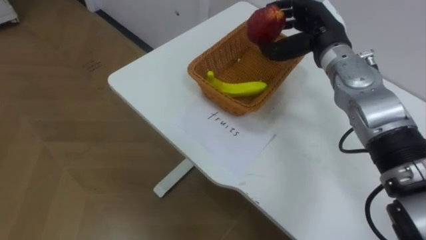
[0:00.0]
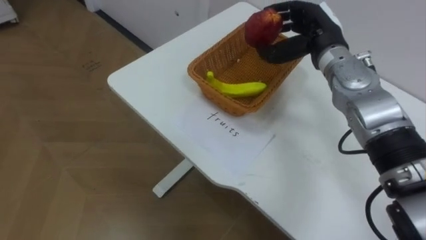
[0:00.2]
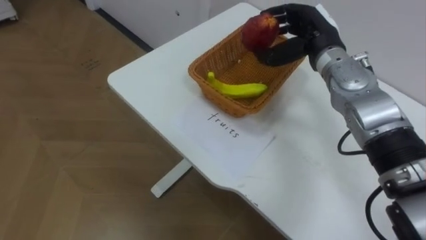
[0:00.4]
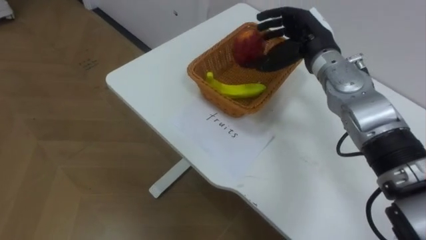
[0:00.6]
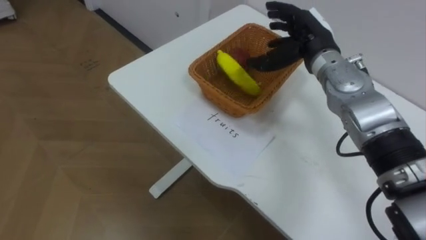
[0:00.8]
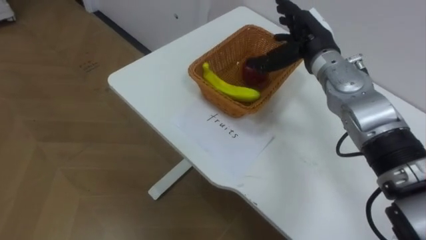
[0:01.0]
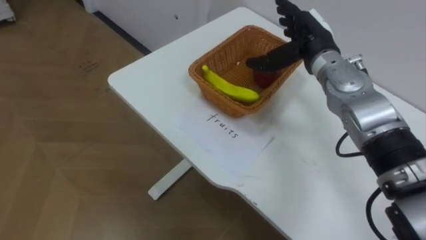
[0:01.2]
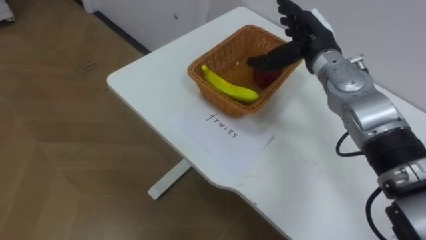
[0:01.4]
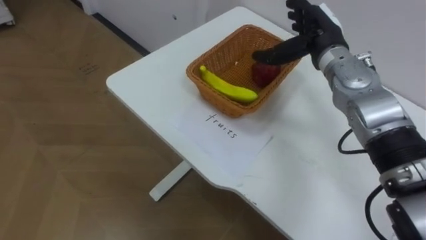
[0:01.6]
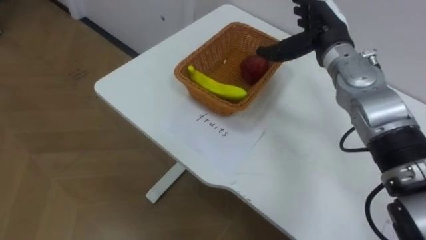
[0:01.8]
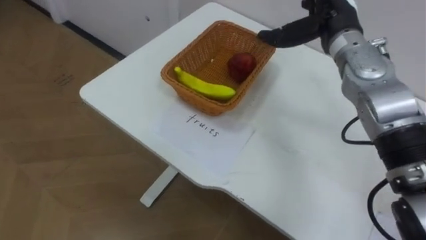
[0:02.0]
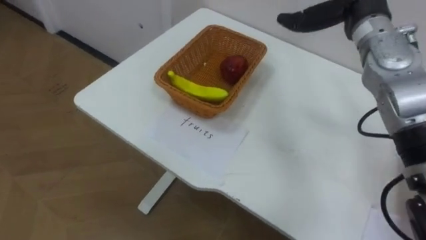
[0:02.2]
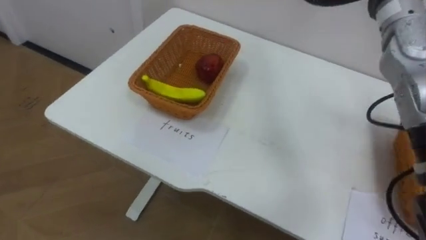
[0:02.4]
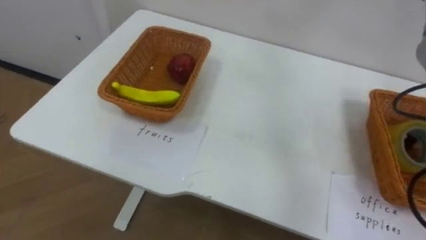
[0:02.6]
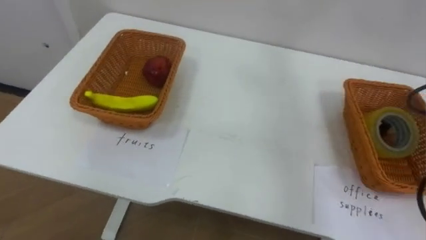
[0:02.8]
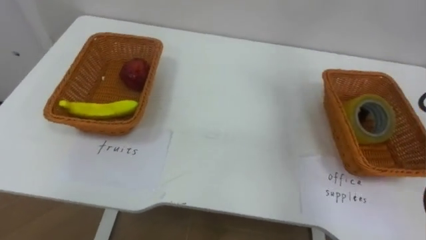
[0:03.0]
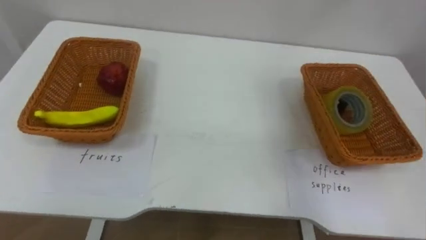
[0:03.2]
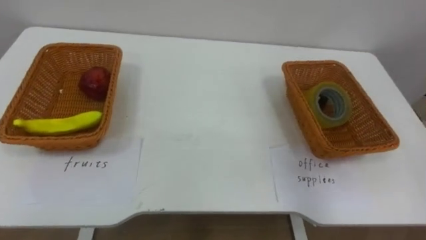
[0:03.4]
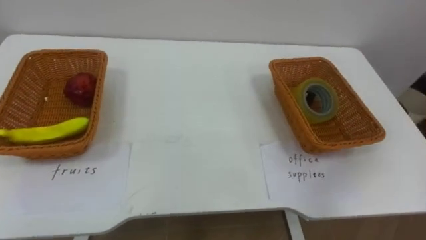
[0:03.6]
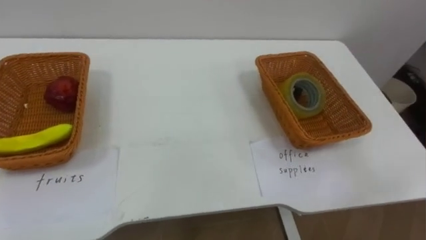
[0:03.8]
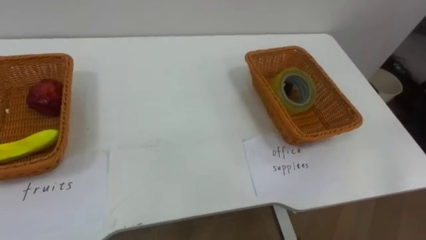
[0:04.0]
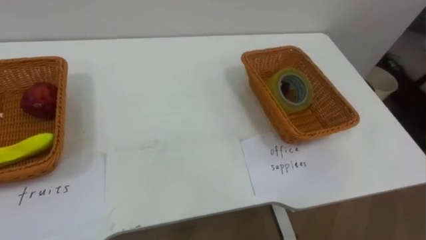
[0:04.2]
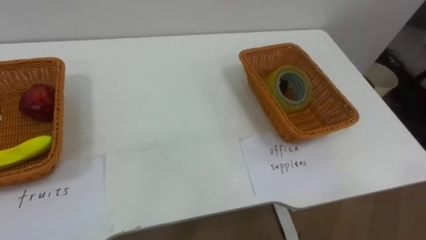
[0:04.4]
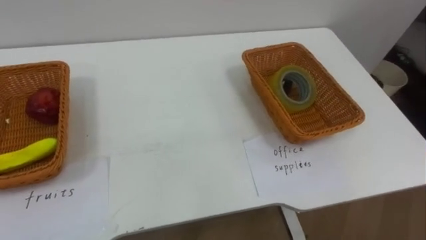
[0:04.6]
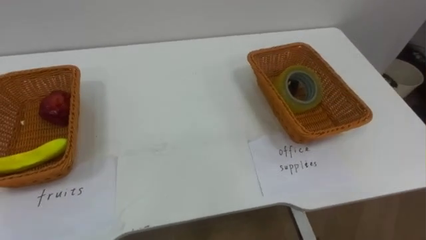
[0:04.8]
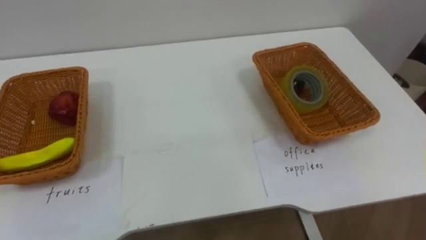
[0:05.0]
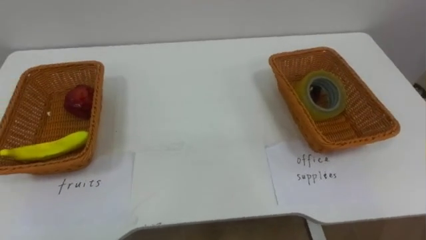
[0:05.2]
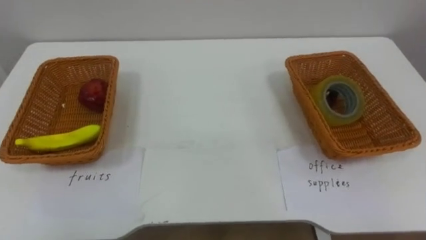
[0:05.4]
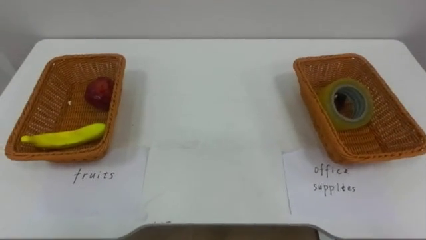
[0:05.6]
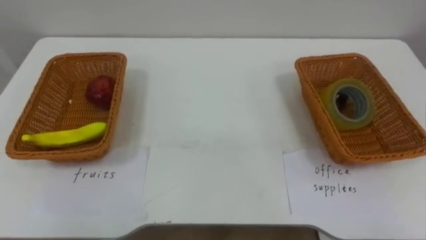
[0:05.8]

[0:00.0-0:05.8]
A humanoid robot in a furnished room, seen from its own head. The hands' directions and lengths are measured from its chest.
Task of the whole recording: Separate the items on the table and place them into the two baskets.
0:00.0 to 0:01.4: The right hand opens up.

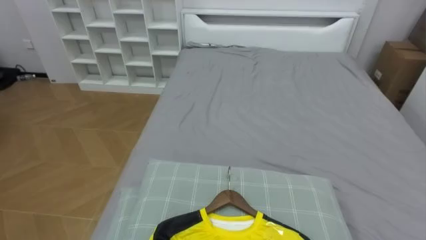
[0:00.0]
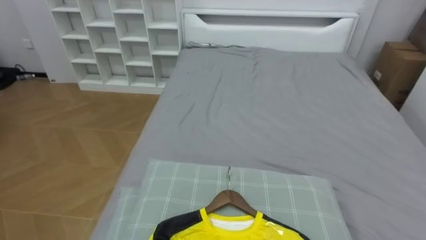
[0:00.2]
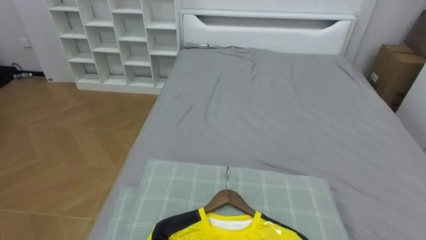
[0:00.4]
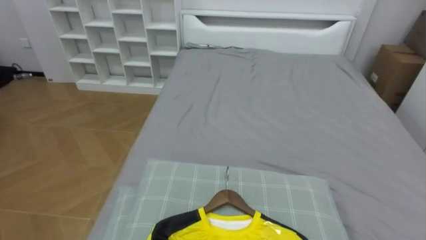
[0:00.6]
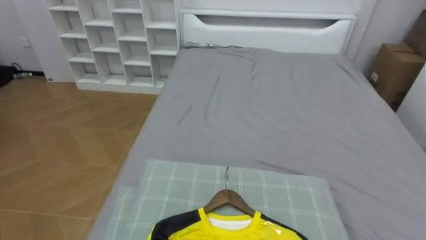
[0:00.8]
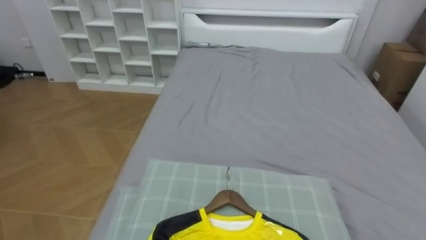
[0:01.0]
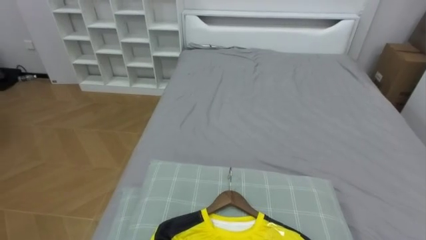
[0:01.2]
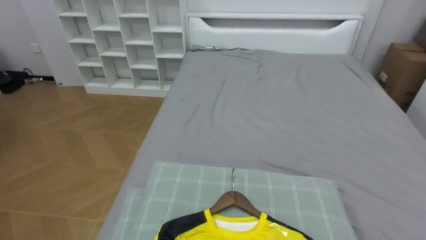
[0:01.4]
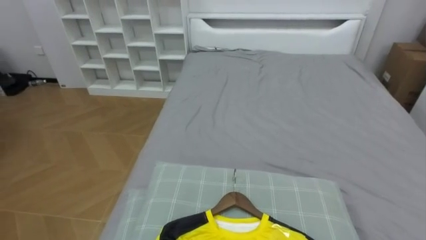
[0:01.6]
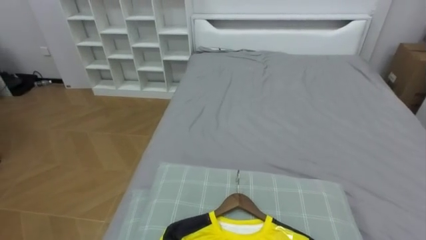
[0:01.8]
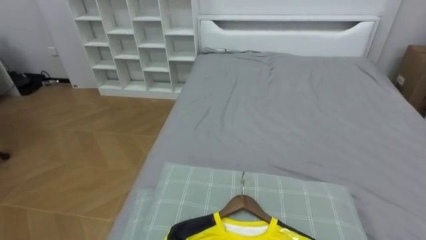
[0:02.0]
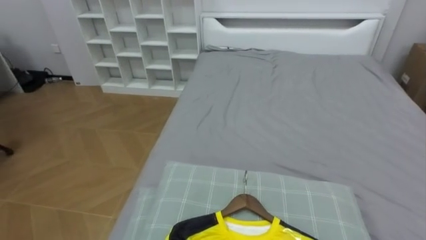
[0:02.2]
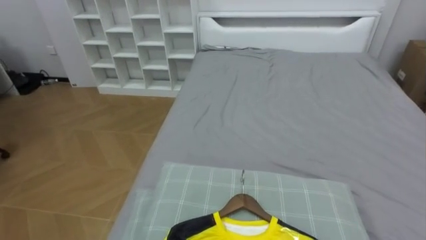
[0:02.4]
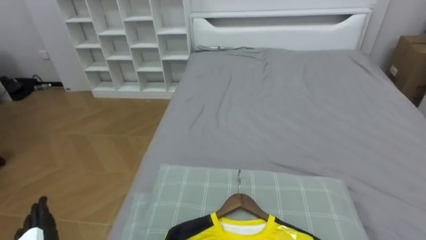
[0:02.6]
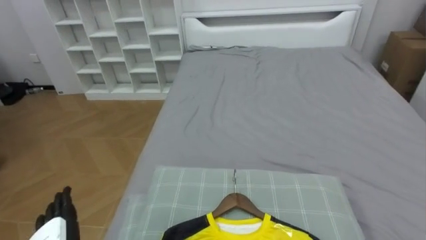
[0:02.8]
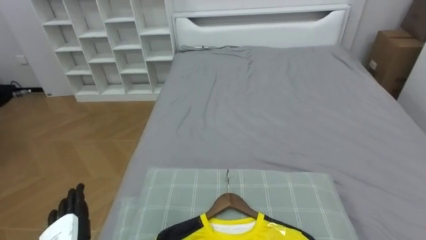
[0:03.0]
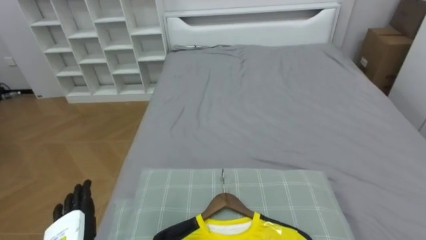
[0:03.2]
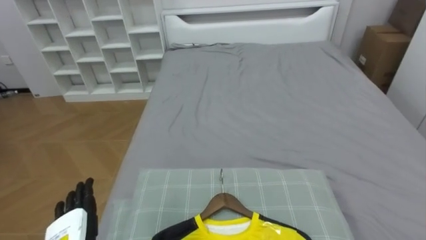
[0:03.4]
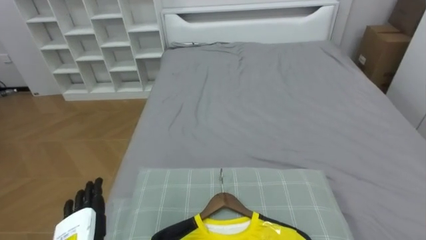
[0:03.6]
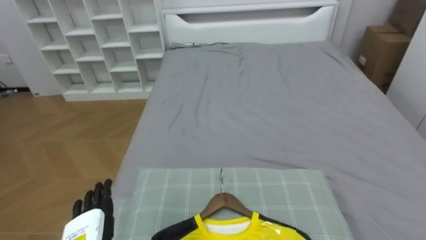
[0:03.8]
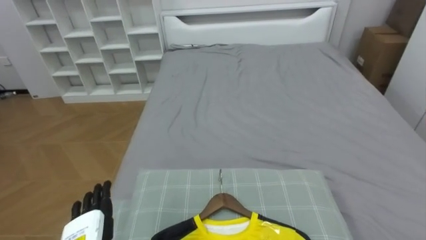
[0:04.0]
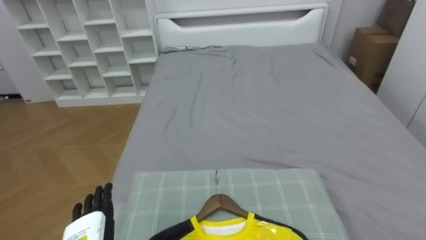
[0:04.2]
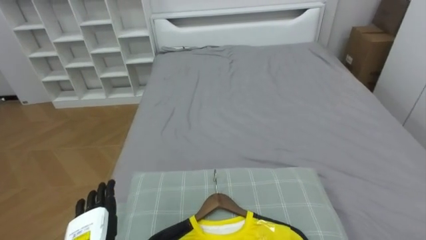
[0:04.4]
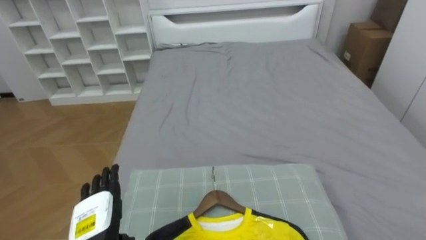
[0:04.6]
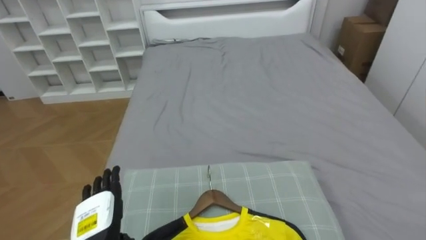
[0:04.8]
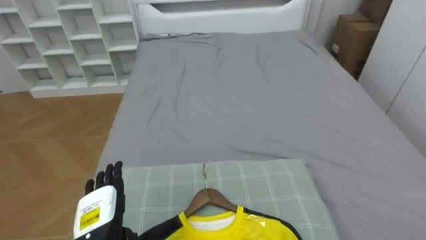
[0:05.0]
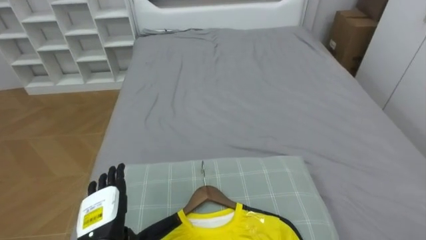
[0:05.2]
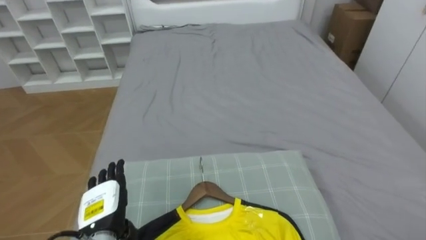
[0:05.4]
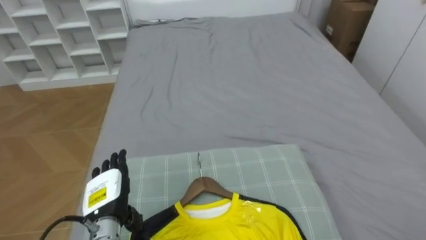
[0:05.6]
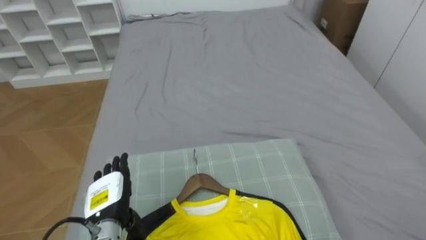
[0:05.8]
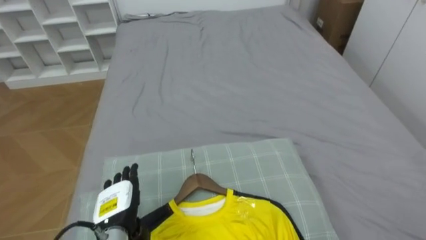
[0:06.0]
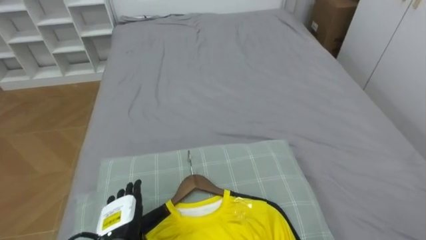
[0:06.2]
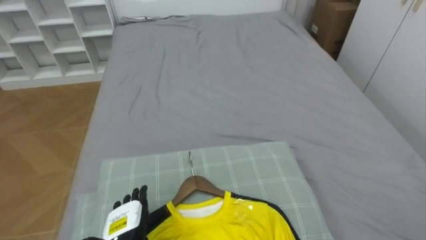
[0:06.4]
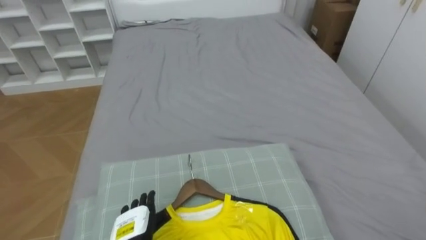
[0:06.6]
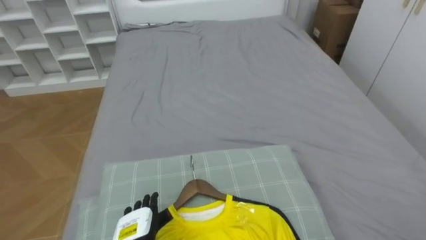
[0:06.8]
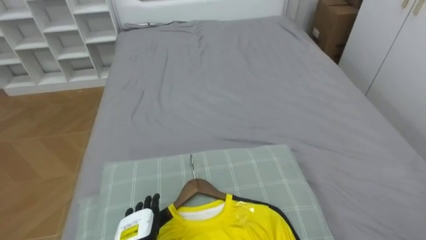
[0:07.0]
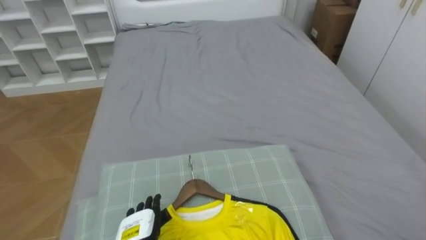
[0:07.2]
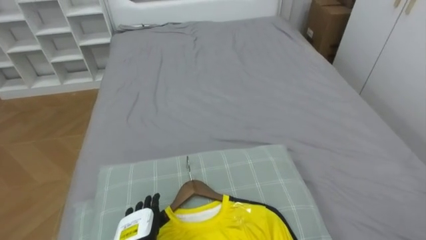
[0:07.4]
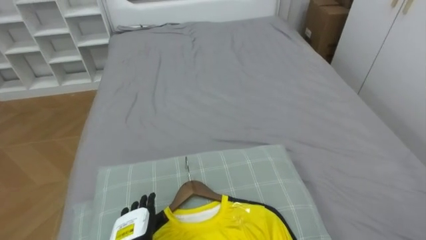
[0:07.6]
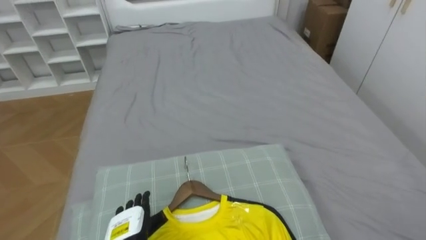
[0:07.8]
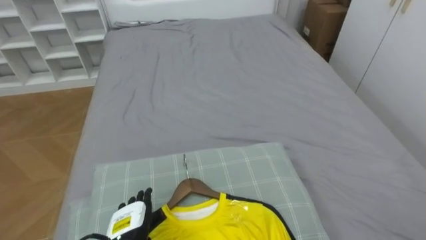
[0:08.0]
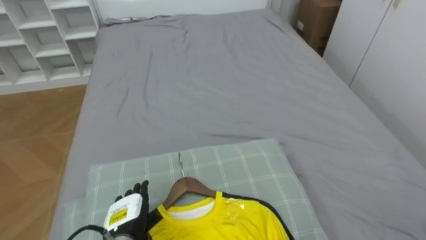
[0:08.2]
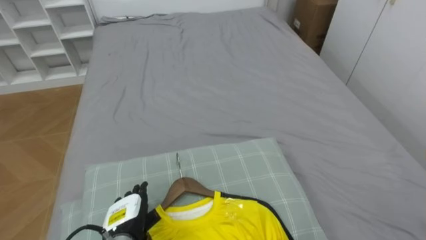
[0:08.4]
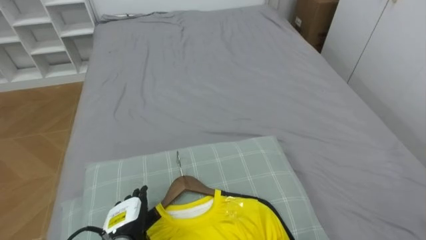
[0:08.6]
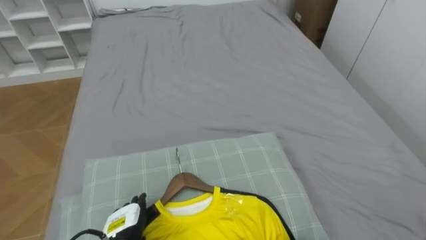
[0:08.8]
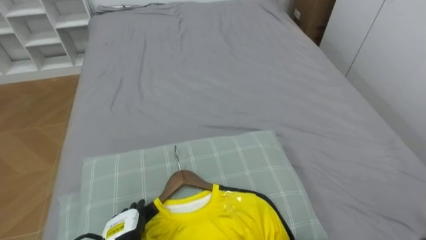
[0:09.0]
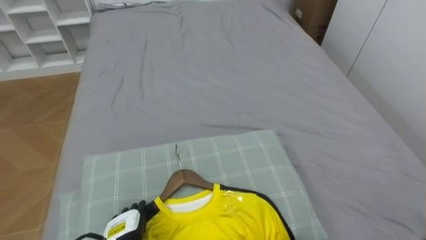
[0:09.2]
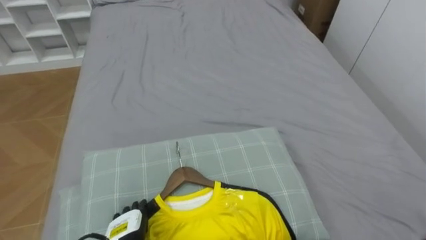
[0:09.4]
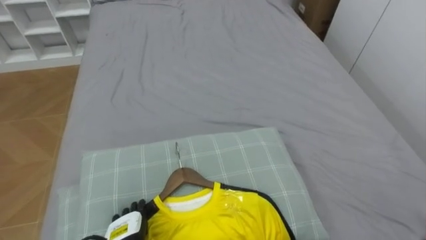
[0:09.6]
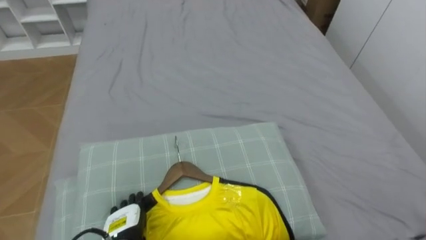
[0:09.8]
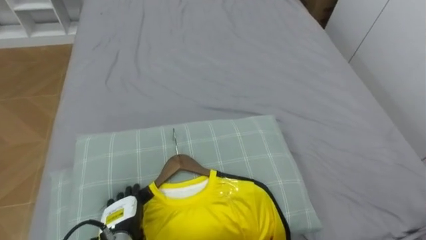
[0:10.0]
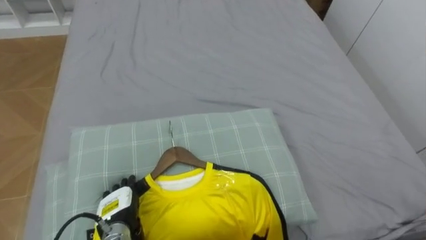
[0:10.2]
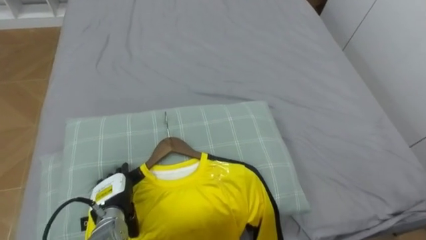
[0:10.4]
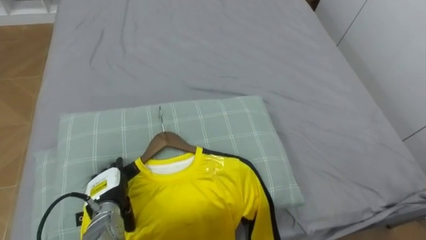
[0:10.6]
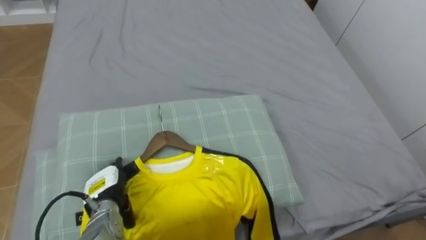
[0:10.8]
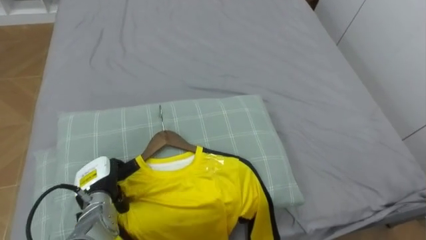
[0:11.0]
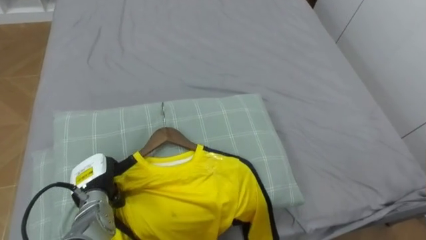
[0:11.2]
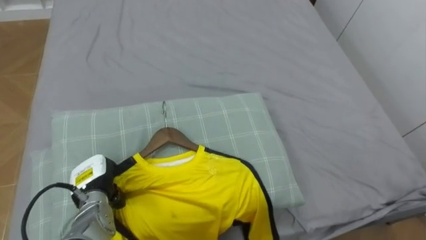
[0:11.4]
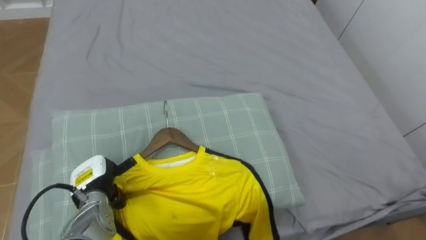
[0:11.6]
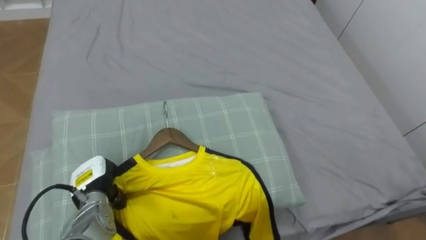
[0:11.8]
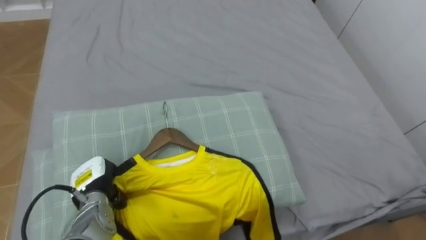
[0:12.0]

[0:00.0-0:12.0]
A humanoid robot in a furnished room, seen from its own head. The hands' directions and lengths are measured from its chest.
Task of the whole recording: Pick up the yellow shirt on the bed and hang it on the clothes rack on the right.
0:06.0 to 0:07.6: The left hand moves roughly 5 cm.
0:09.0 to 0:10.4: The left hand is displaced forward by some 5 cm.
0:10.4 to 0:12.0: The left hand shifts by roughly 5 cm, and closes up.
